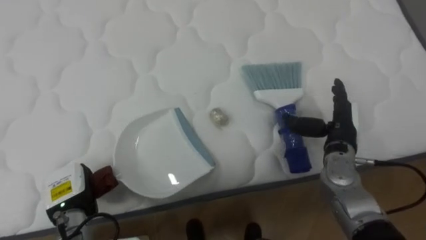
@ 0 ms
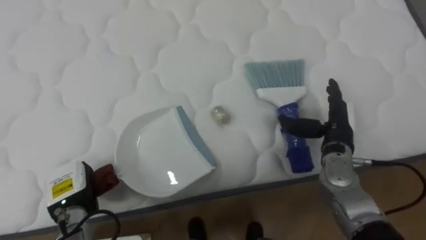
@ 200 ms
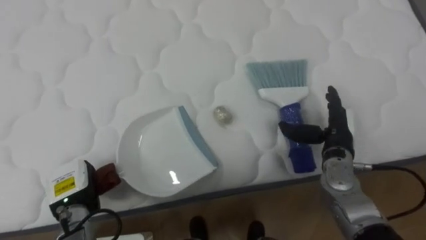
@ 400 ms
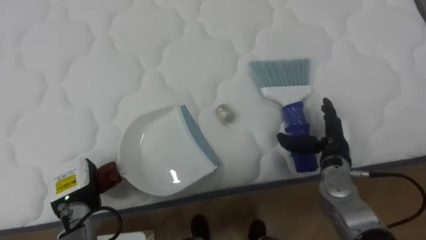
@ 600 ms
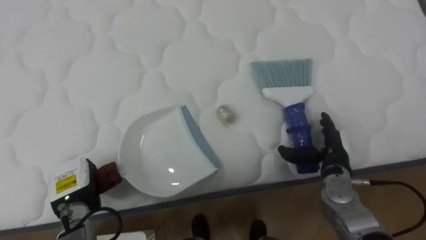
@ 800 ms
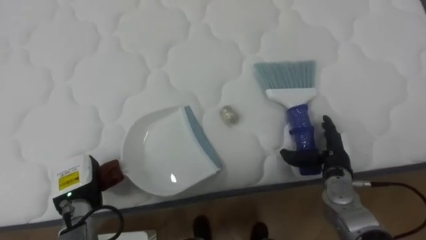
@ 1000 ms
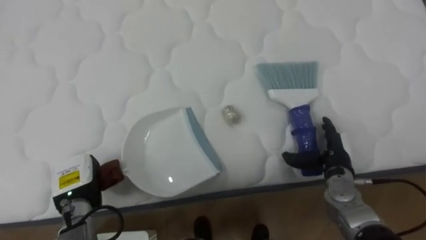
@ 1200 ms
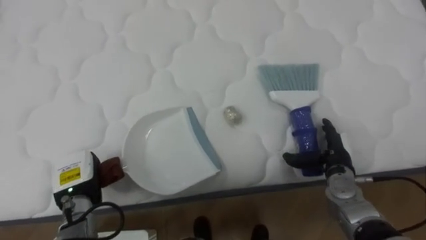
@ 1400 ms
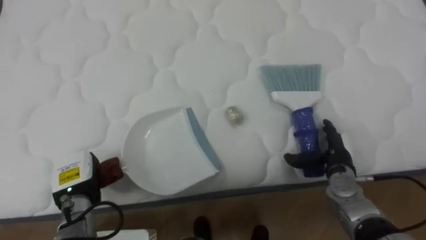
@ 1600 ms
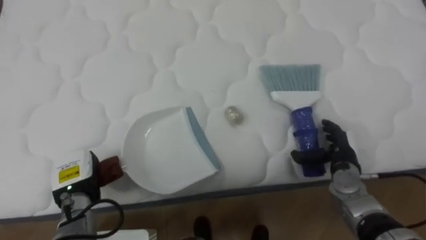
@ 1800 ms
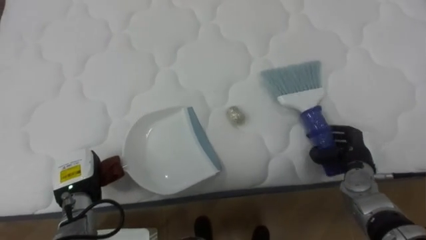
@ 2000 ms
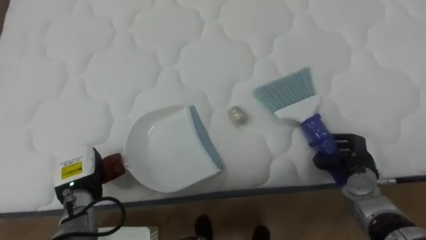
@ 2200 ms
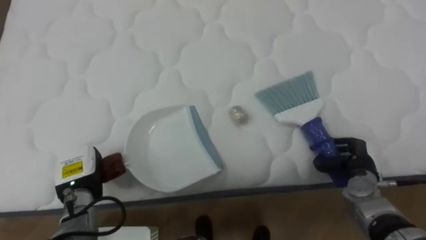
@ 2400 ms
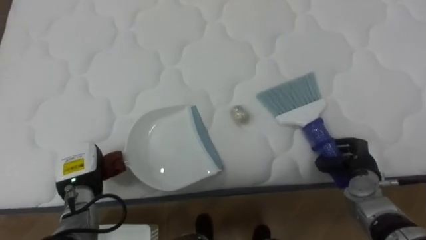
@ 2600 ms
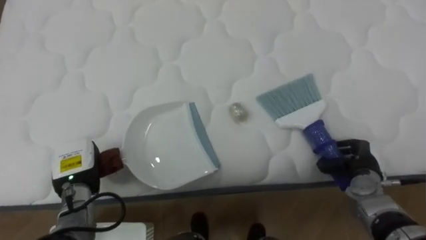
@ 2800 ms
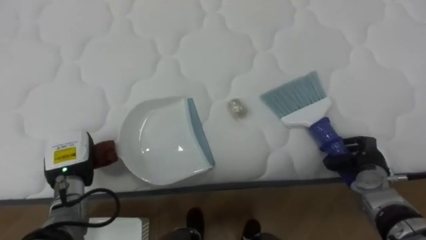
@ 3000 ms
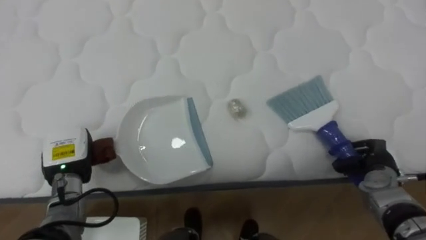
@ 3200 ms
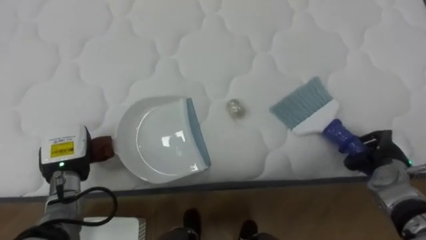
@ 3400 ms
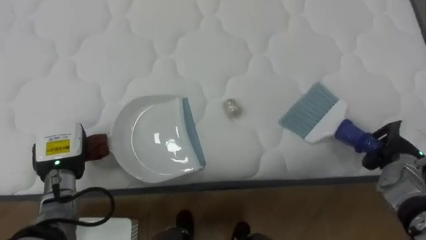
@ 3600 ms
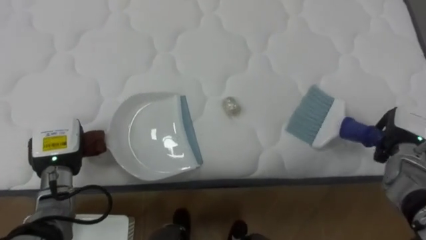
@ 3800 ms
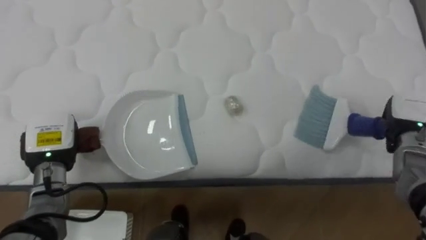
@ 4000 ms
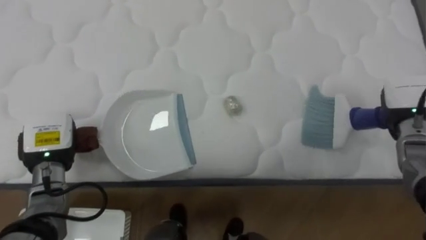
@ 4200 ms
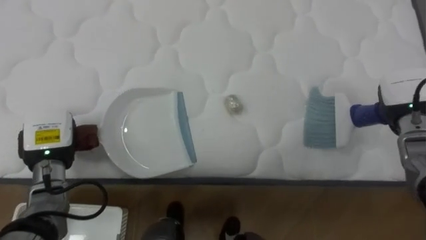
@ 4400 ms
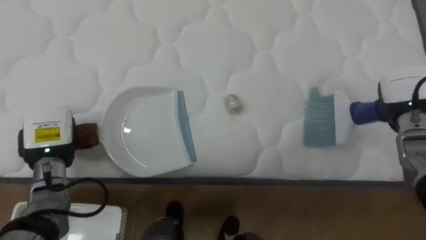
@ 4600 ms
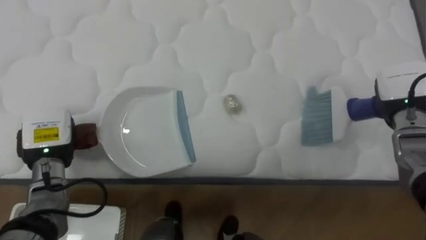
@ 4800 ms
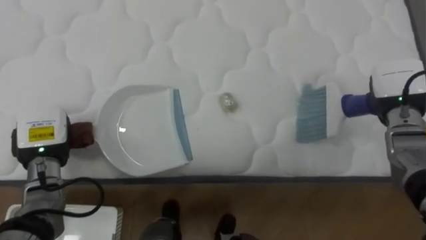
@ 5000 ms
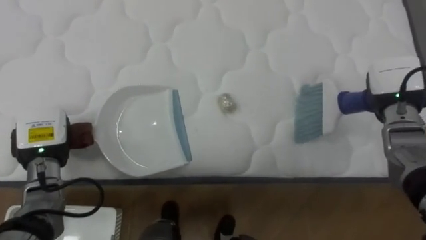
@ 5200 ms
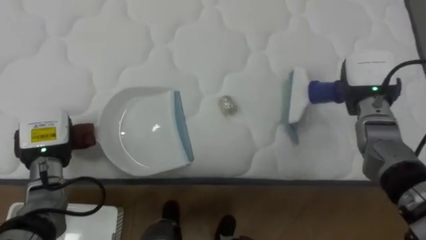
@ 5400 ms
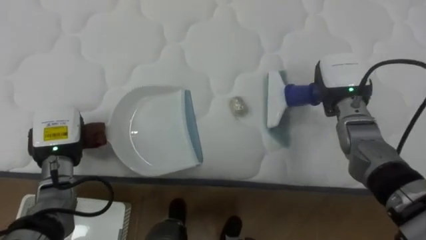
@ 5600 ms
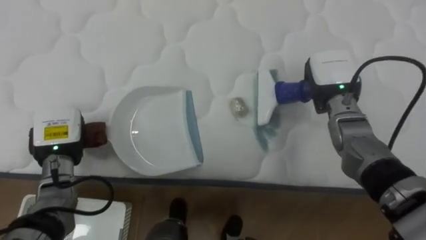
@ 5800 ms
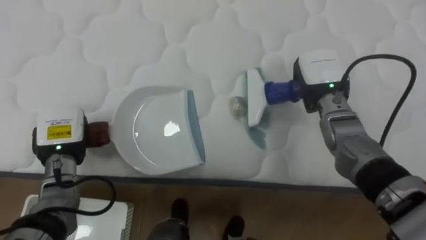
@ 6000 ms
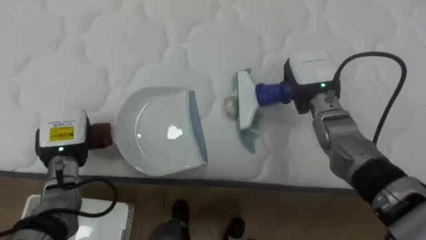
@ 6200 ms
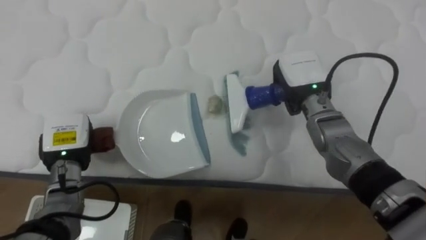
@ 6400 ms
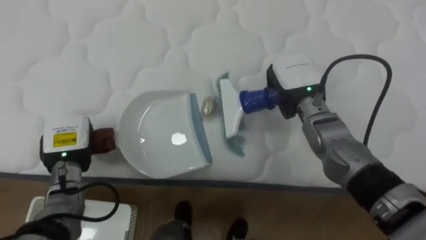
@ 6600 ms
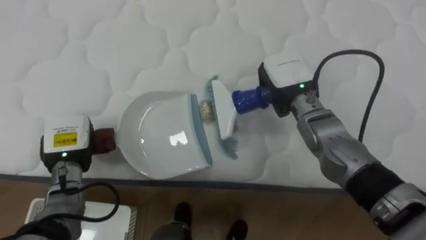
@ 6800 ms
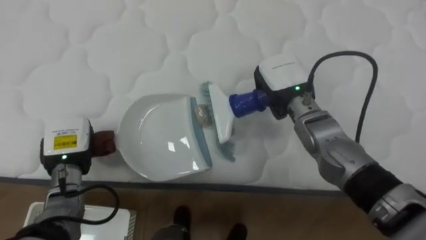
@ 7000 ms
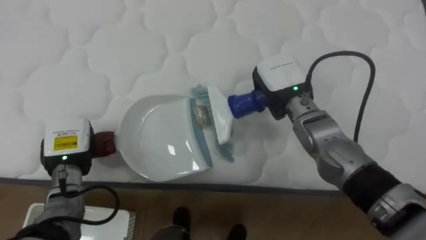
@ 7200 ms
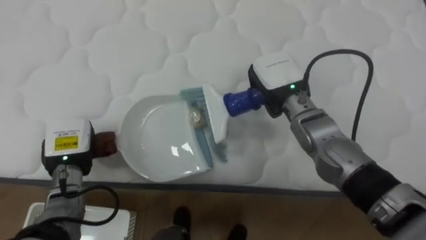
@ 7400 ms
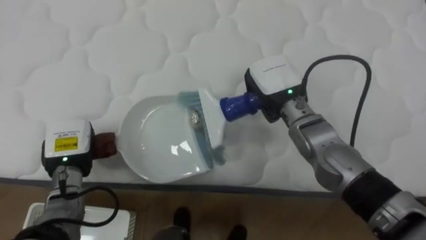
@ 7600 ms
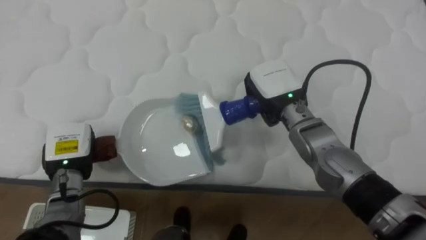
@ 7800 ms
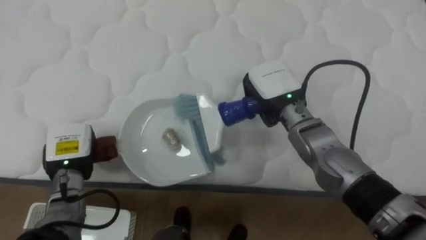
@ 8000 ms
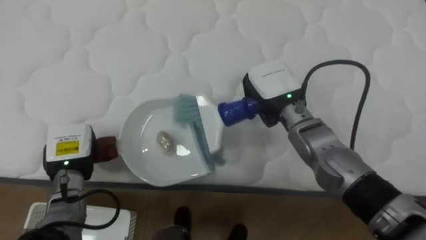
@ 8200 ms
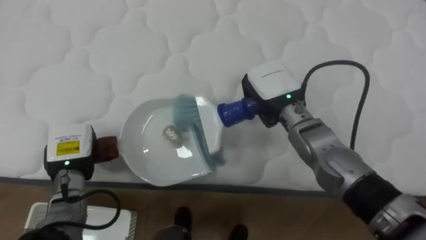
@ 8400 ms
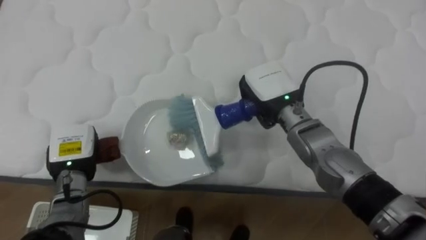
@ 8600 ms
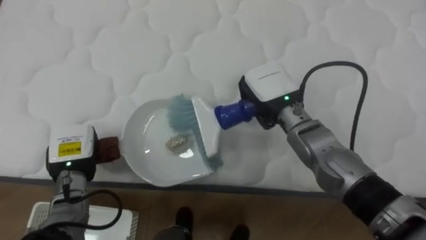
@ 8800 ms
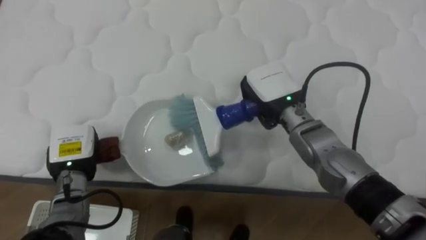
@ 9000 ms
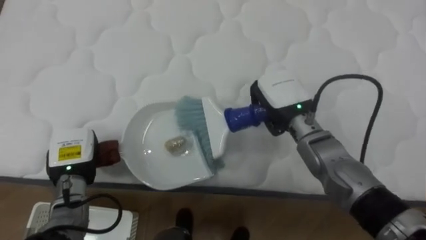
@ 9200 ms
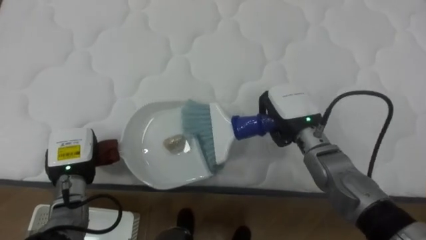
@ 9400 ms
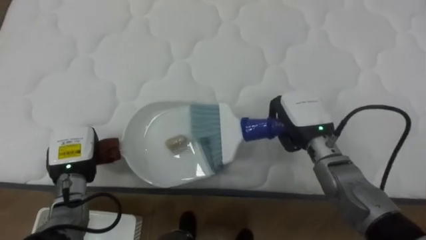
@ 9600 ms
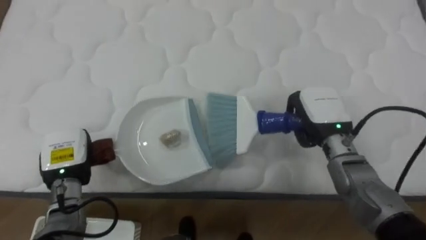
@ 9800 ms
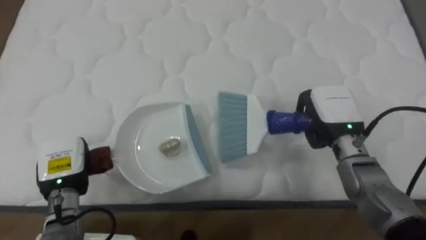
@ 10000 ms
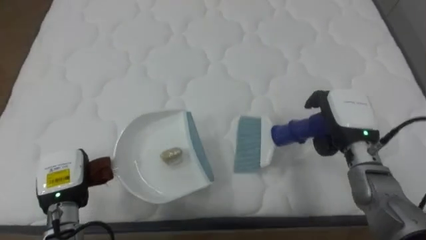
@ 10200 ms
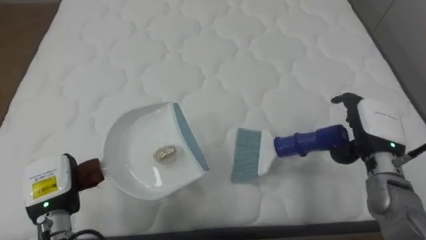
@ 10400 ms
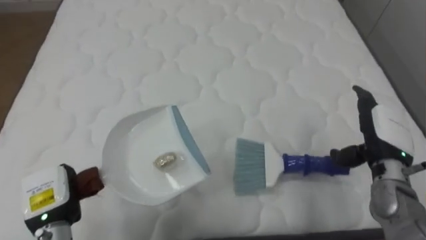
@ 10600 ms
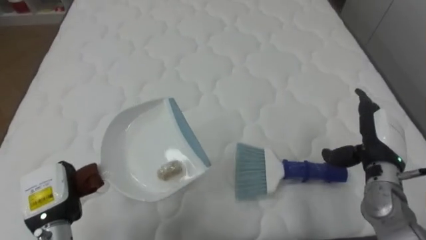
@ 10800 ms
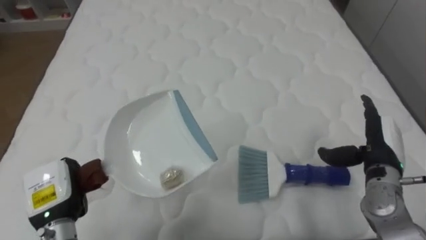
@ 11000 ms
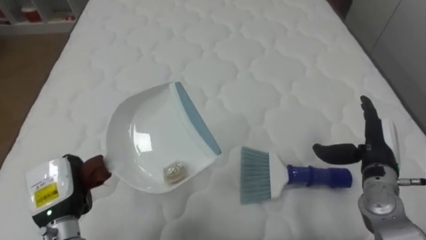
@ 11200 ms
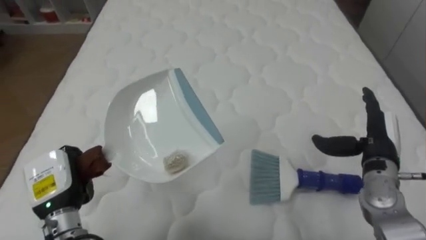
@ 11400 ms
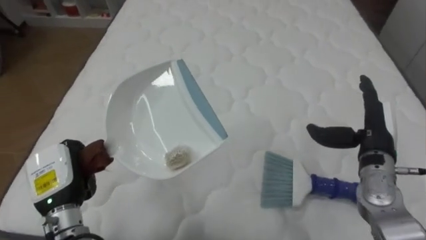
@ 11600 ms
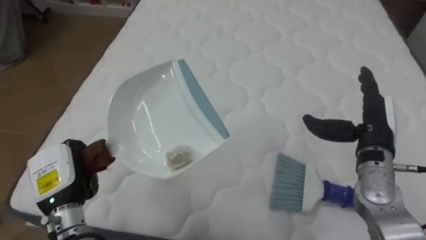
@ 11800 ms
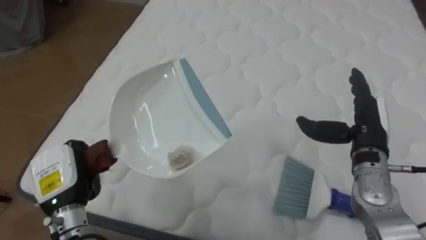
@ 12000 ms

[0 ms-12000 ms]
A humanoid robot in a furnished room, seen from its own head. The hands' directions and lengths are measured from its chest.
Task of the whole recording: Pick up the brush on your right and the dustpan on your left. Use the brush to sweep the crumpled paper on the bed into the dustpan, then turn left and empty it into the basket.
0 ms to 1600 ms: The right hand travels downward by about 10 cm.
1600 ms to 3000 ms: The right hand shifts roughly 5 cm to the right, and closes its fingers.
3000 ms to 4400 ms: The left hand moves some 5 cm. The right hand travels upward and forward by about 15 cm.
4400 ms to 6000 ms: The right hand goes about 15 cm to the left.
6000 ms to 7600 ms: The right hand shifts approximately 10 cm to the left.
7600 ms to 9000 ms: There are only small adjustments of the hands.
9000 ms to 10400 ms: The right hand goes some 20 cm to the right, and opens its fingers, while the left hand goes approximately 5 cm backward.
10400 ms to 12000 ms: The robot faces about 15 degrees further to its left.

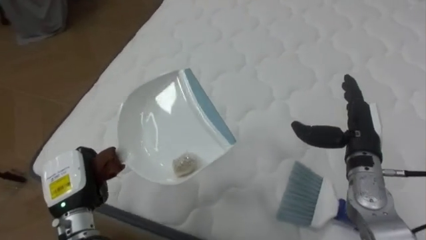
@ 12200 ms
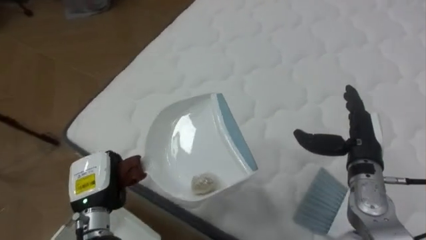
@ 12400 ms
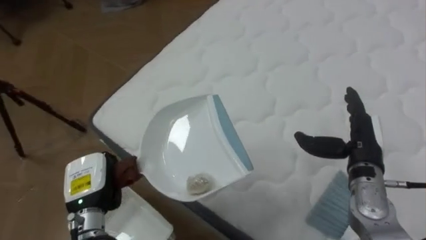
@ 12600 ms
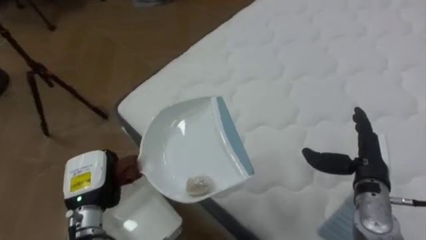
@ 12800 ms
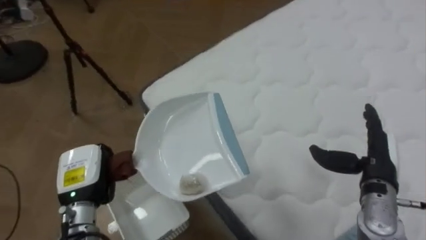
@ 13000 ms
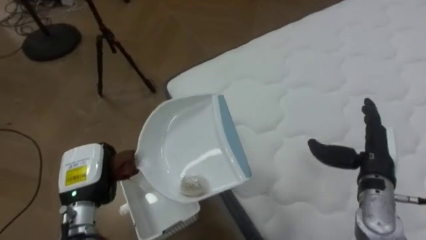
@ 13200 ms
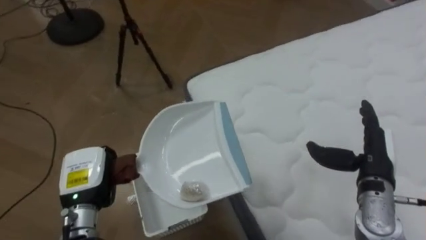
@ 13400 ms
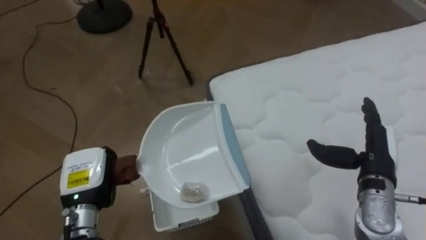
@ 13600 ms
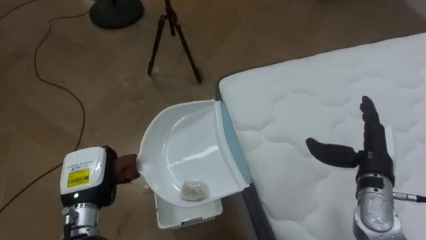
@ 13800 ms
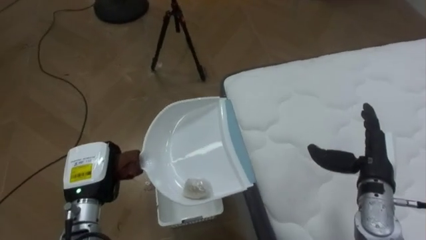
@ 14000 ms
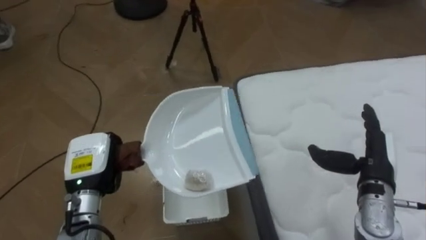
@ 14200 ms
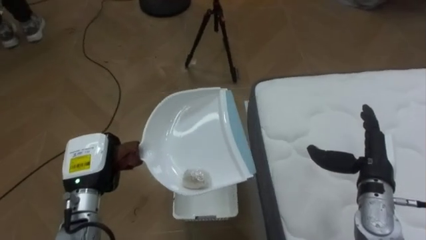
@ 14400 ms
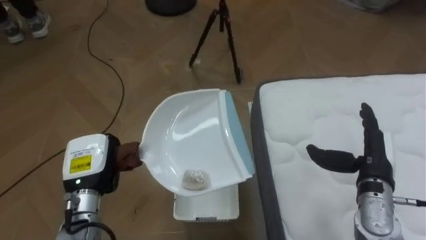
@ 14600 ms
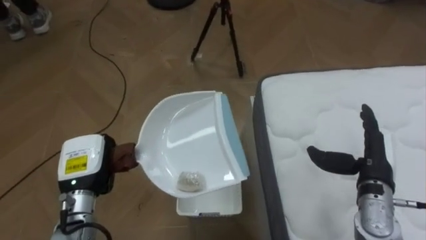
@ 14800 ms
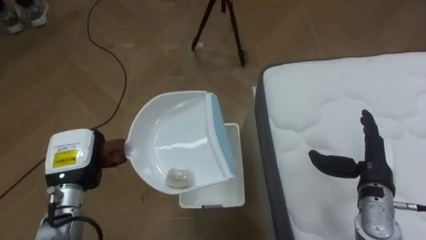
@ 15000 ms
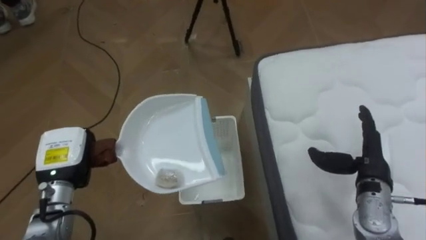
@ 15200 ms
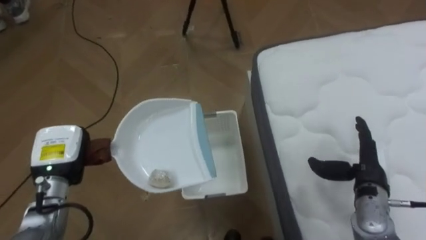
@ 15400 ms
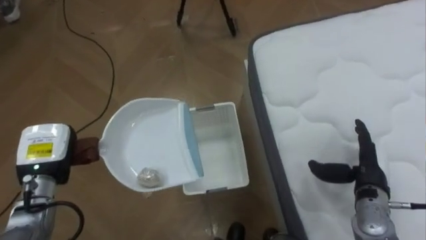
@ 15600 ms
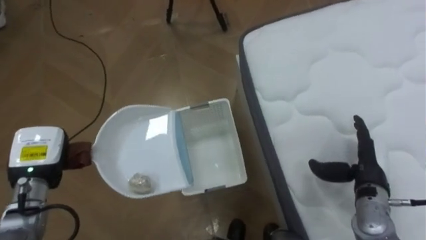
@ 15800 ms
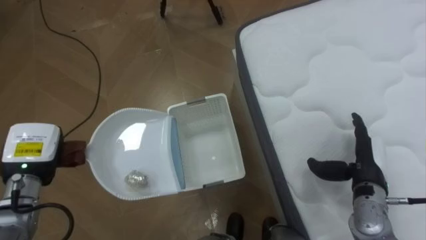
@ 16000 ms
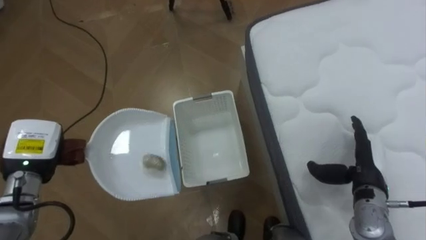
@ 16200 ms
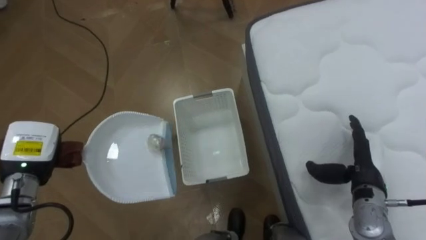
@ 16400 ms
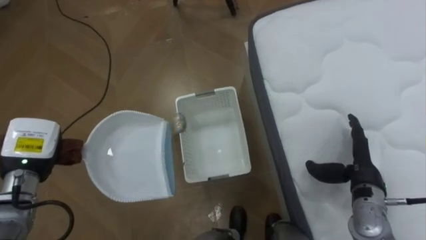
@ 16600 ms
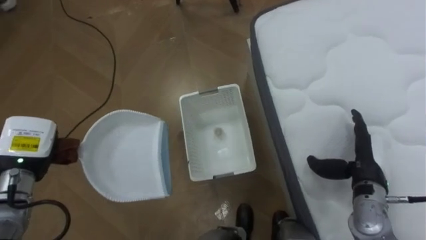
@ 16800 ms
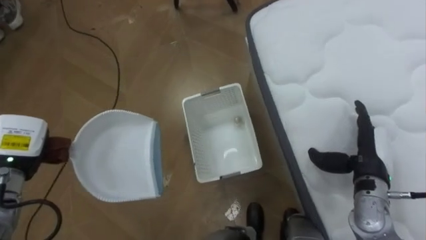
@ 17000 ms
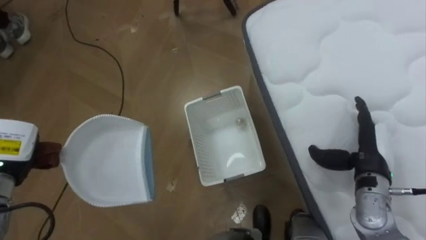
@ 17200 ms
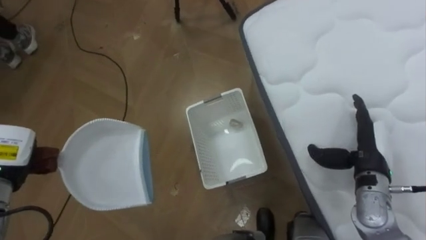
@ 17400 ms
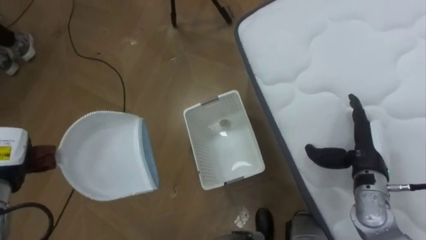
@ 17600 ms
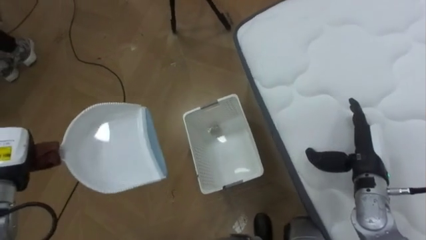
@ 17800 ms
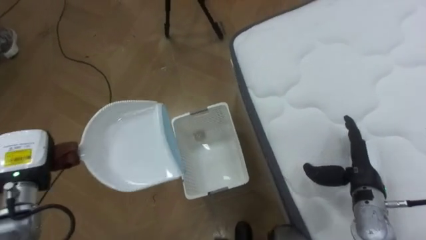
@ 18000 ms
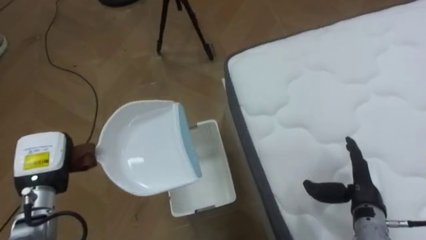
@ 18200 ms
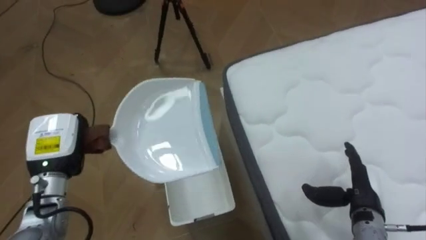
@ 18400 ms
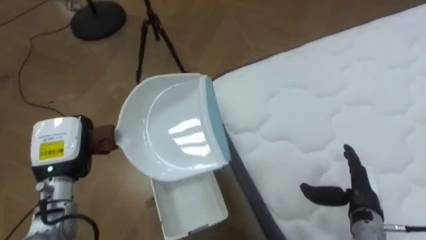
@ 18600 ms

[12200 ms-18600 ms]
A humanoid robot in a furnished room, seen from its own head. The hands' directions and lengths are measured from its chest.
Task of the whole recording: Pick up the brush on your right and the dustpan on your left. Use the brush to sweep the crumpled paper on the bed into the dustpan, then turn left and empty it into the basket.
12200 ms to 13800 ms: The robot faces roughly 55 degrees further to its left.
13800 ms to 15400 ms: The left hand shifts some 5 cm to the left.
15400 ms to 17000 ms: The left hand shifts roughly 5 cm to the left.
17000 ms to 18600 ms: The robot faces approximately 15 degrees further to its right. The right hand goes roughly 5 cm downward.
